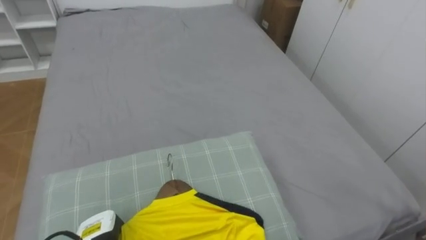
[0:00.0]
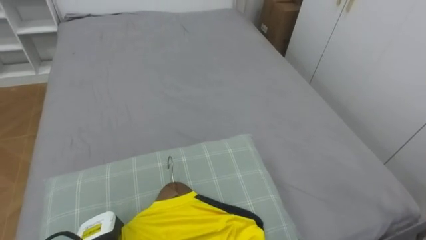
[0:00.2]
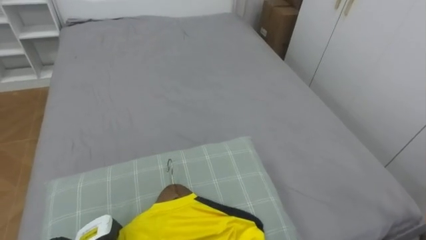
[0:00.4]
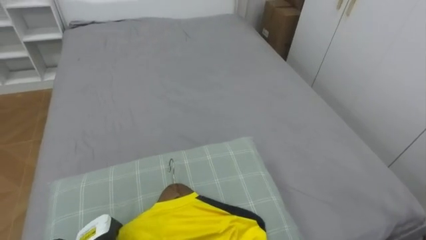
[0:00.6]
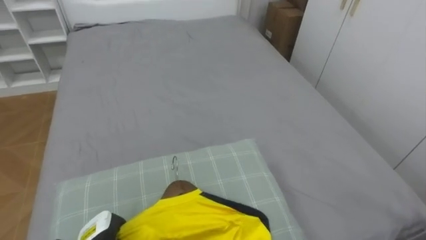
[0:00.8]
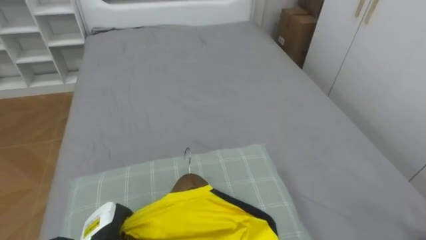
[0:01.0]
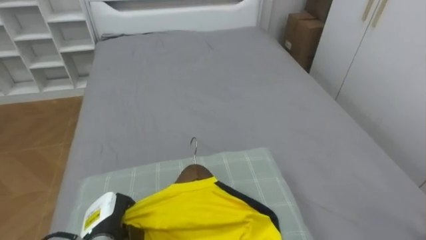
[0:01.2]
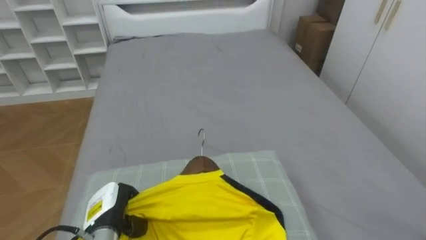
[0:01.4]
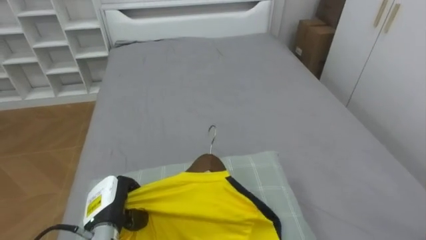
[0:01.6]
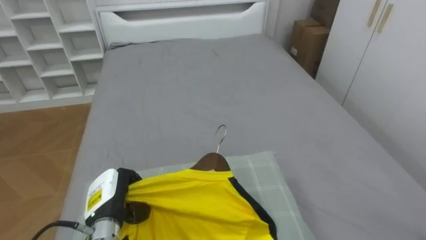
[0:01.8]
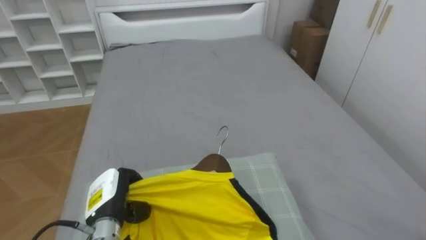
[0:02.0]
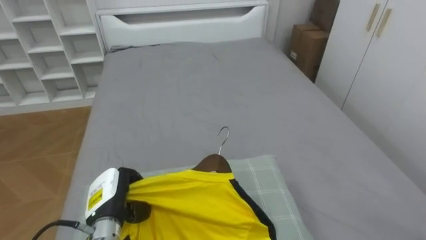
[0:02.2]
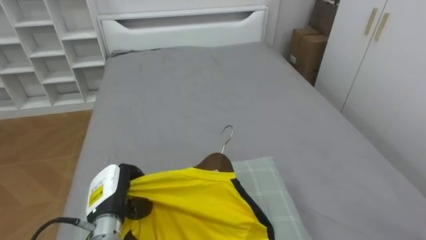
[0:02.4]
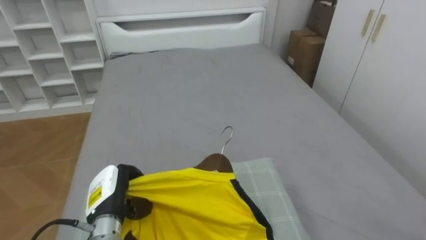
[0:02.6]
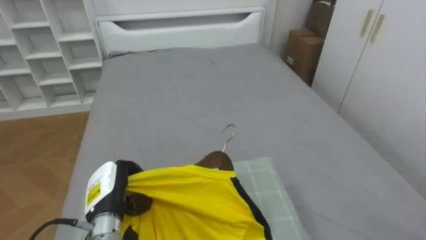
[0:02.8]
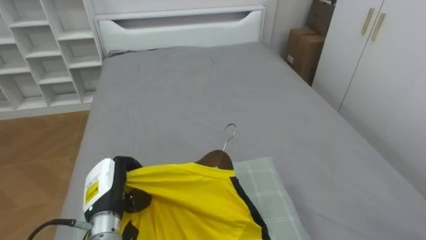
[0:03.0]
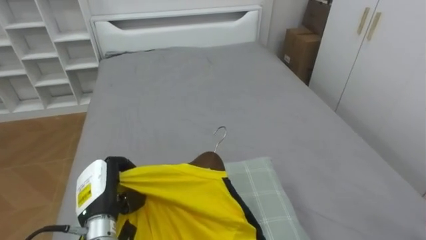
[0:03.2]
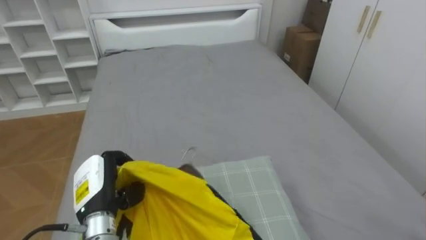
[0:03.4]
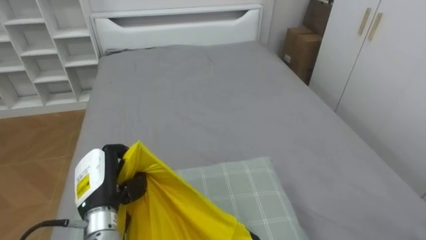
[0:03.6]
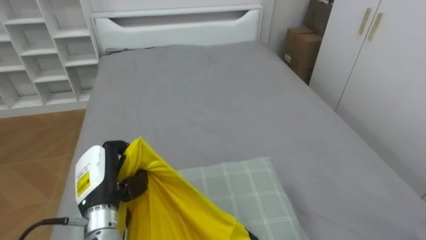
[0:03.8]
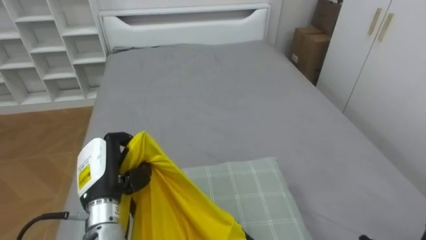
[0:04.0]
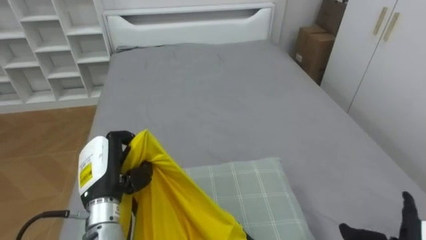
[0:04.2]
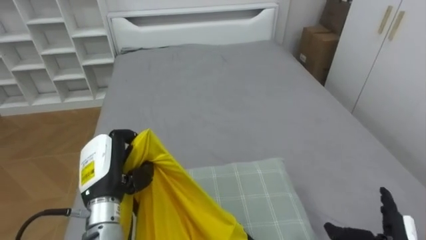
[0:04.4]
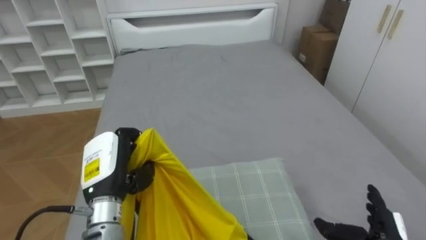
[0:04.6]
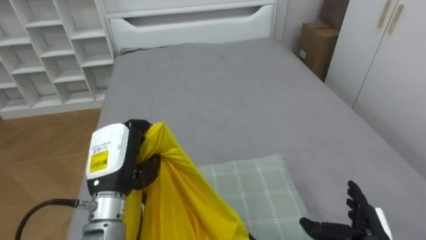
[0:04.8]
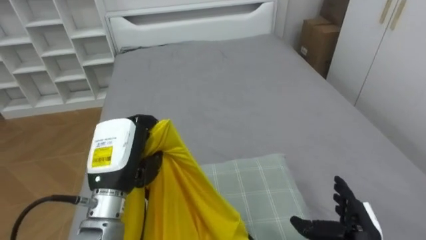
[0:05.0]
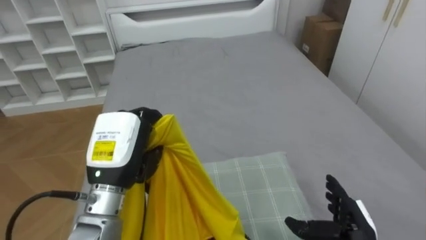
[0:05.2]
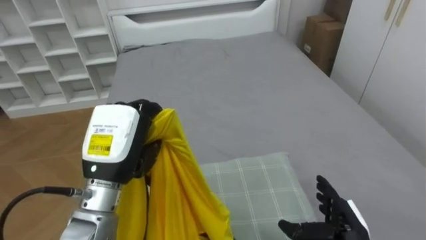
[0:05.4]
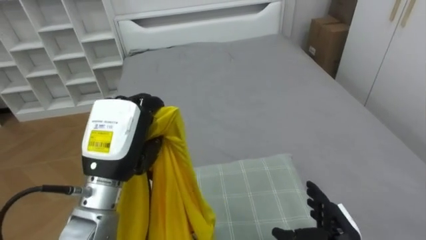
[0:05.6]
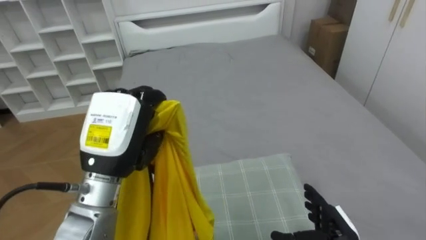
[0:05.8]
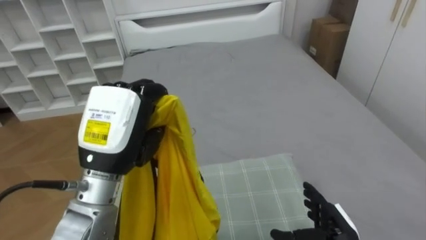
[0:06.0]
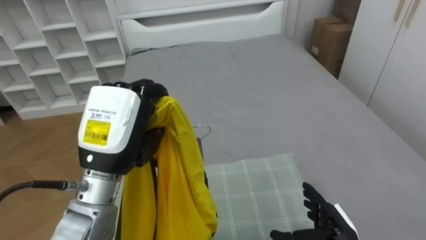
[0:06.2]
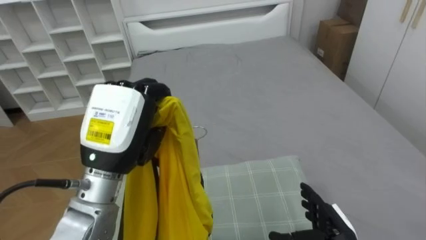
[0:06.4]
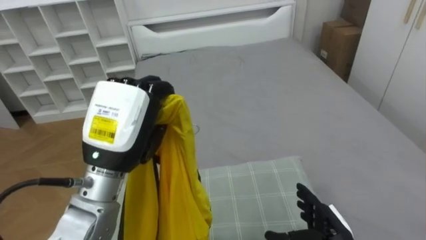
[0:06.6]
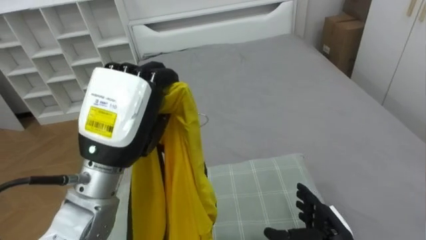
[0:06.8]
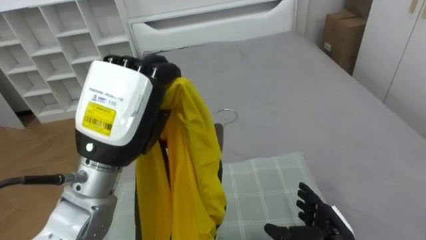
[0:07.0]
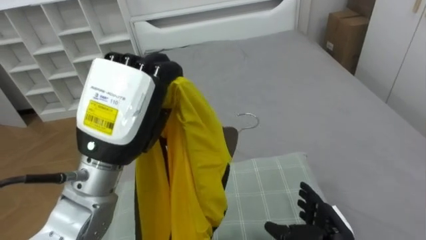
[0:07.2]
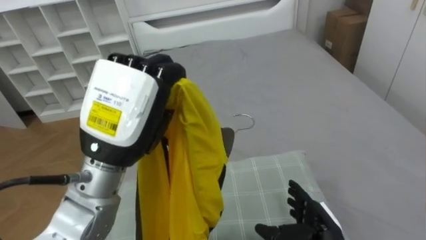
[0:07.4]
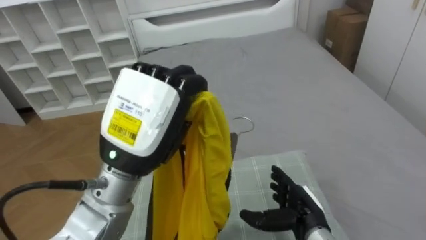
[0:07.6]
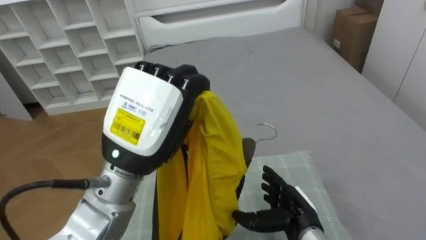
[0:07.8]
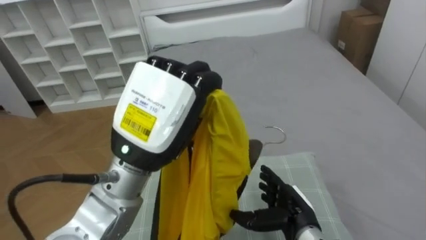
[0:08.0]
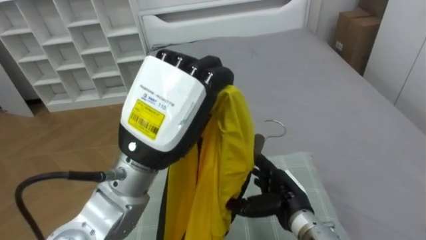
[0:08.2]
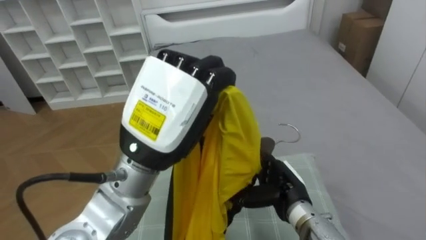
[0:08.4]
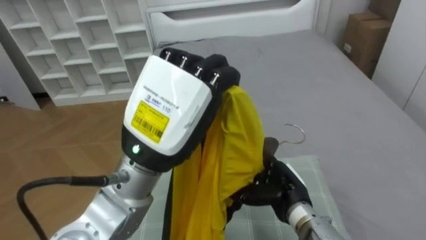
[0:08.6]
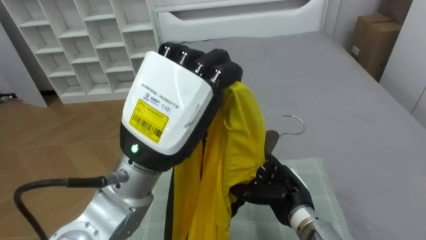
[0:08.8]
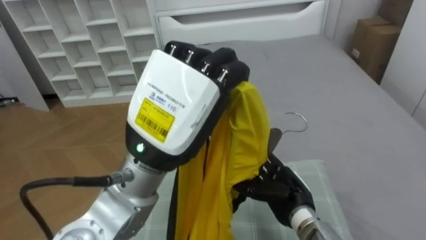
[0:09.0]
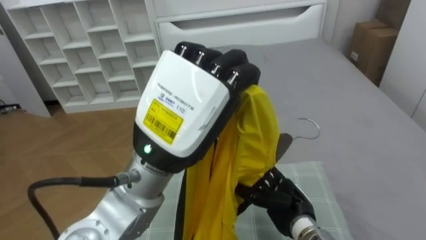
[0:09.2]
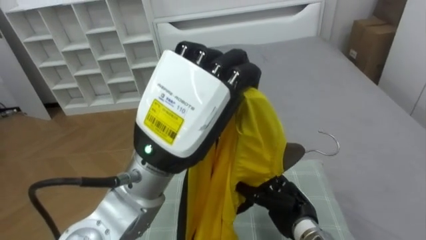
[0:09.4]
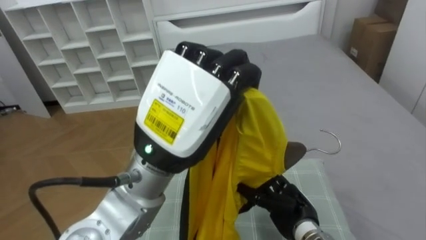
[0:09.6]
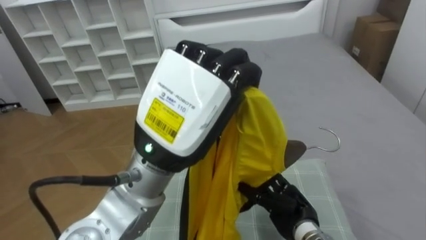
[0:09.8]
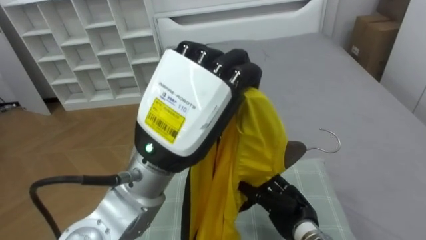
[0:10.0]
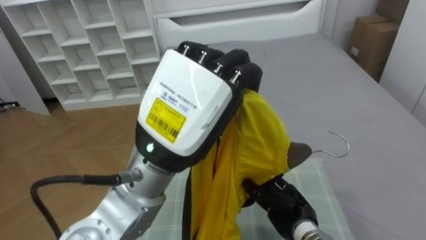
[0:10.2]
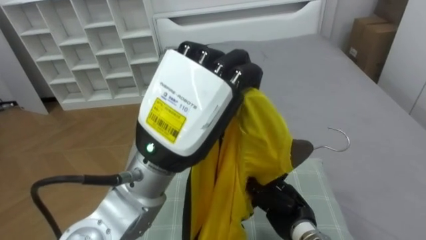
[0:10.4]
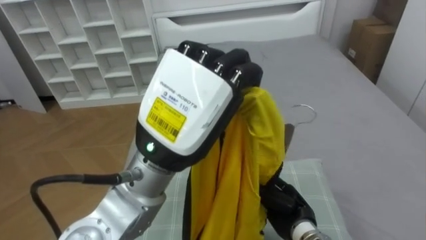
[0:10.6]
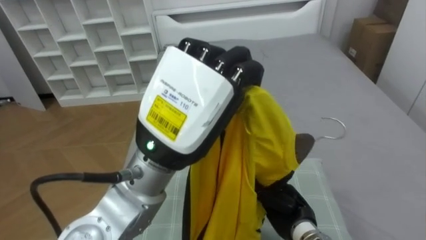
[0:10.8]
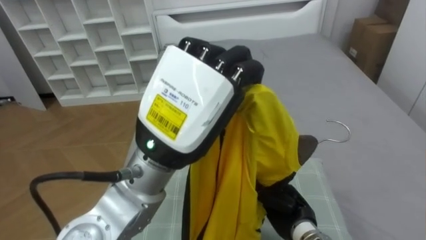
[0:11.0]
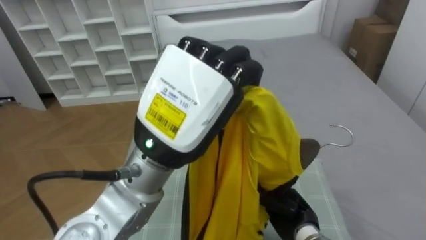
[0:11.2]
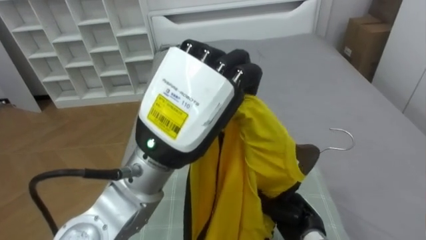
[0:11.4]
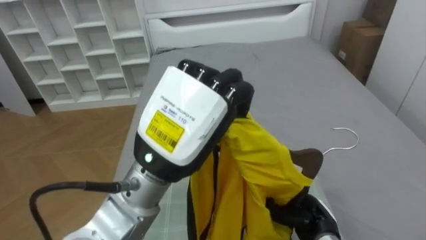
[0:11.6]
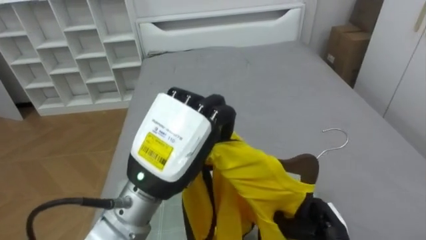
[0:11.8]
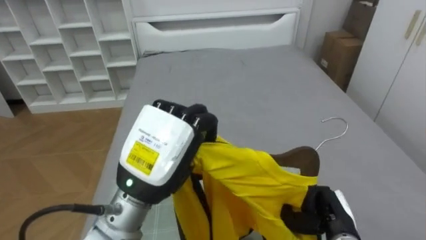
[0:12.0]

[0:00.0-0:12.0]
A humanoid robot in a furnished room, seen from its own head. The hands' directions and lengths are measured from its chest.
Task of the whole recording: Pick up the yellow shirt on the bed and hang it on the clothes rack on the right.
0:00.0 to 0:01.6: The left hand heads upward, covering some 5 cm.
0:03.0 to 0:04.4: The left hand shifts approximately 5 cm upward.
0:04.4 to 0:06.0: The right hand goes about 10 cm to the left; the left hand moves upward, roughly 10 cm.
0:06.0 to 0:07.6: The left hand ends up roughly 5 cm from where it was. Meanwhile the right hand travels to the left by some 5 cm.
0:07.6 to 0:09.0: The left hand moves about 5 cm.
0:09.0 to 0:10.4: The right hand closes up.
0:10.4 to 0:12.0: The left hand is displaced downward by about 10 cm; the right hand is displaced to the right by approximately 10 cm.

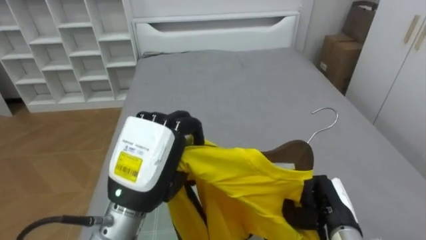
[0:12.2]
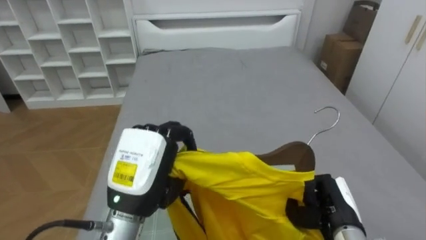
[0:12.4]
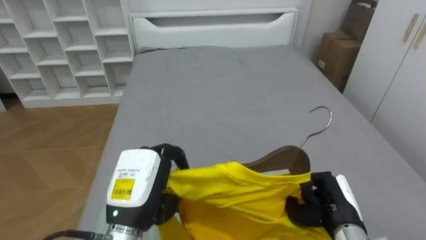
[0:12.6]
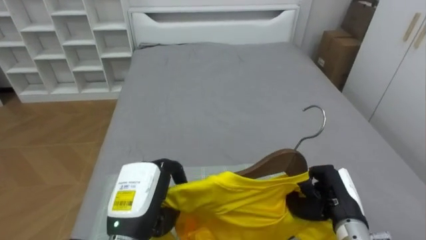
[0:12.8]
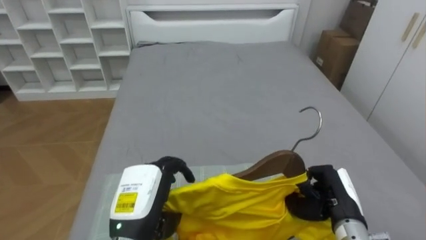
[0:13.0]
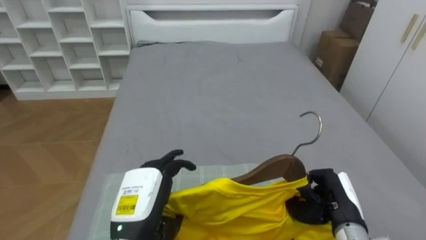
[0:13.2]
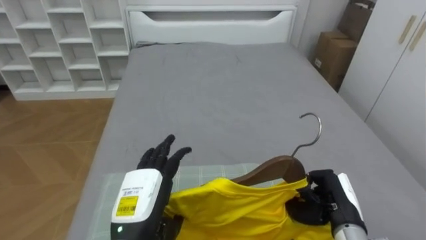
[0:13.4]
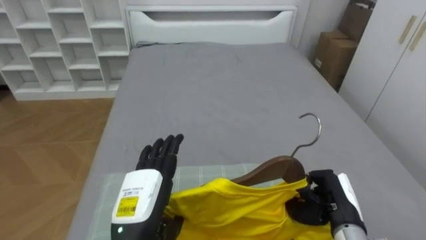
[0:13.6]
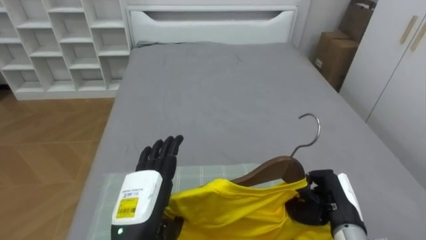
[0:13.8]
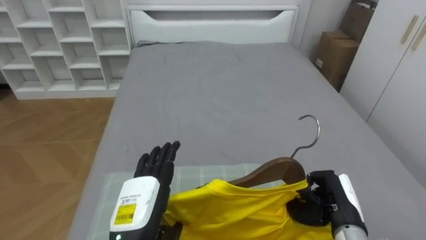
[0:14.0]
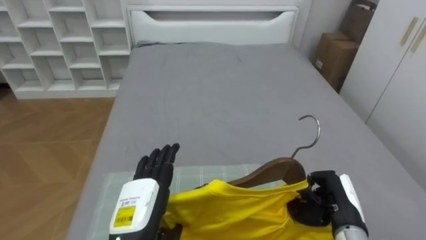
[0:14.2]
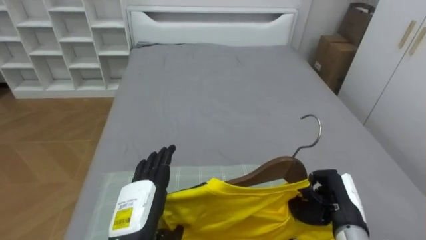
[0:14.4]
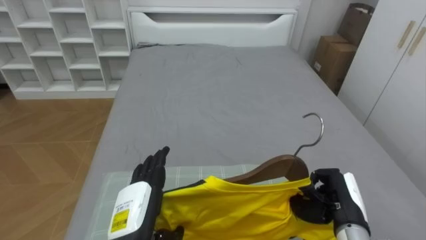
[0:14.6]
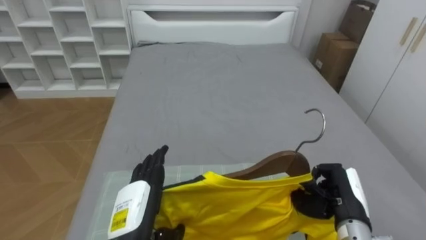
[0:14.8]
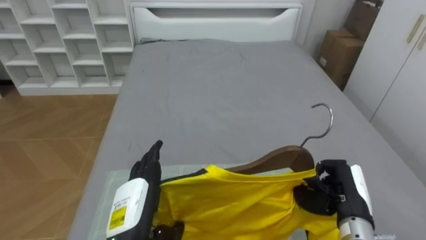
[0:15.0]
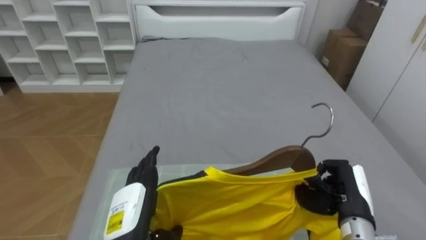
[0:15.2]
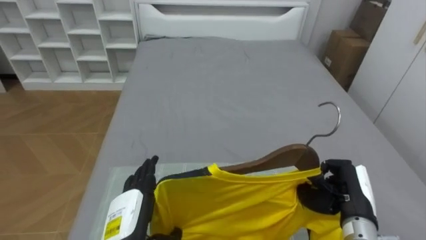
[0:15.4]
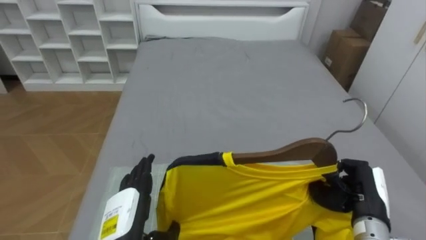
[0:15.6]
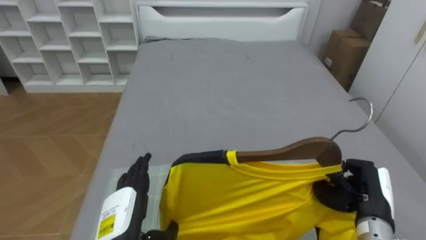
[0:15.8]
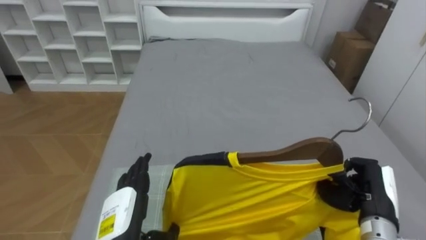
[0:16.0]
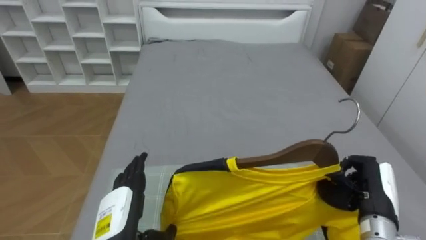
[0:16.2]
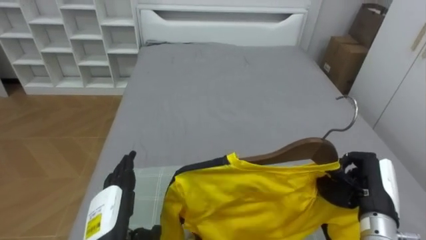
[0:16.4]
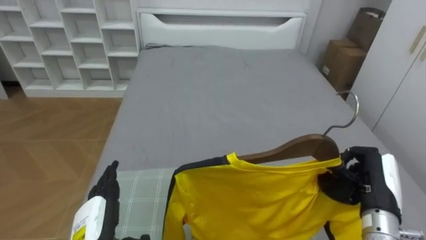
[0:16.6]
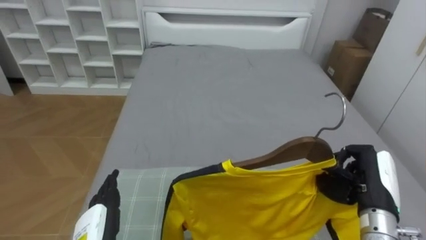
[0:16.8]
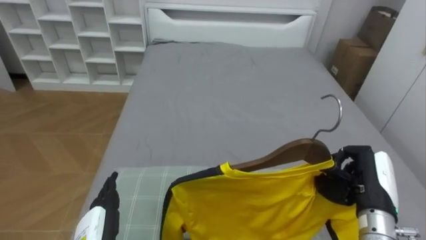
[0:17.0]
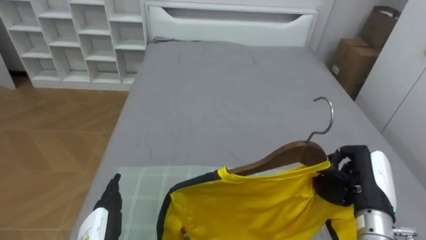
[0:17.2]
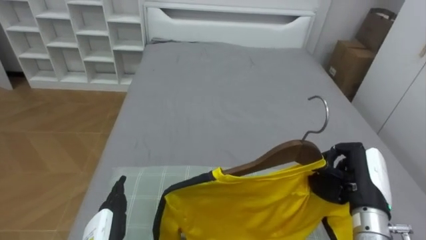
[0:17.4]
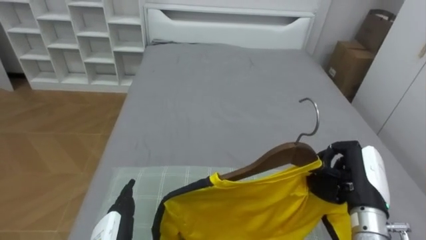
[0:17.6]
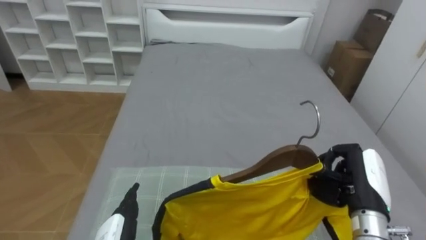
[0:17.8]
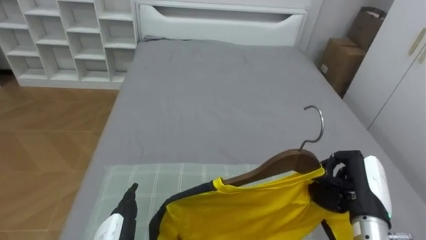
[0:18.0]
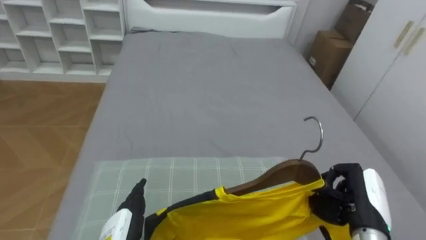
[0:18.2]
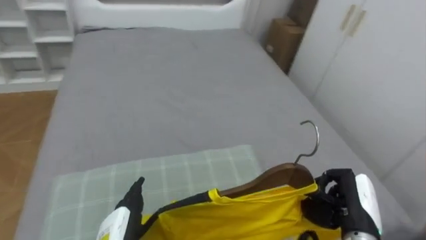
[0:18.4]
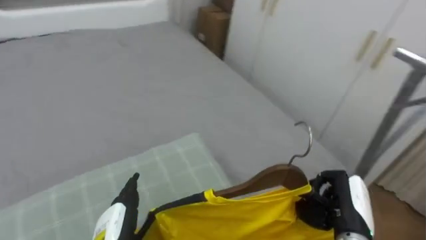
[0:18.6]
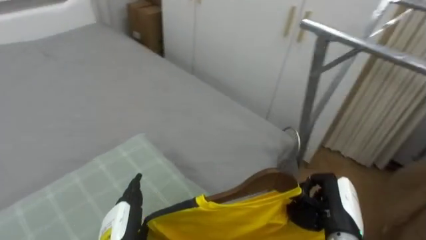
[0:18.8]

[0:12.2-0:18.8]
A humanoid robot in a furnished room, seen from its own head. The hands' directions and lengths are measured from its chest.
Task of the whole recording: Pick up the yellow shirt on the bed and hang it on the clothes rack on the right.
0:12.2 to 0:13.8: The left hand moves downward, some 10 cm, and opens.
0:13.8 to 0:15.4: The left hand moves about 5 cm.
0:15.4 to 0:17.2: The left hand shifts by roughly 5 cm.
0:17.2 to 0:18.8: The robot's body swings some 50 degrees to its right. The right hand ends up some 5 cm from where it was.
